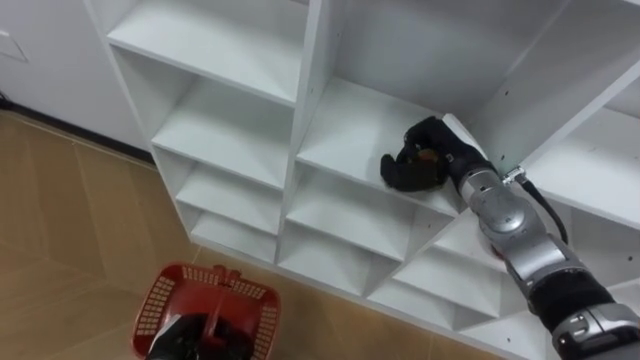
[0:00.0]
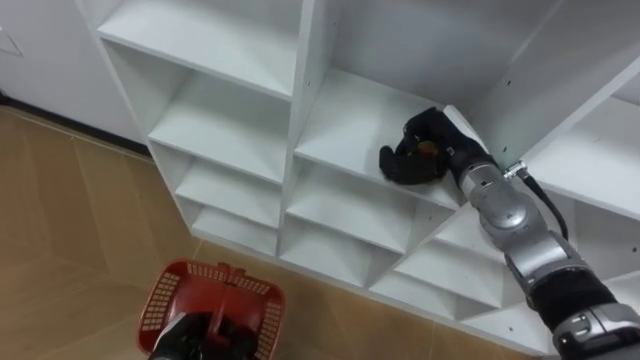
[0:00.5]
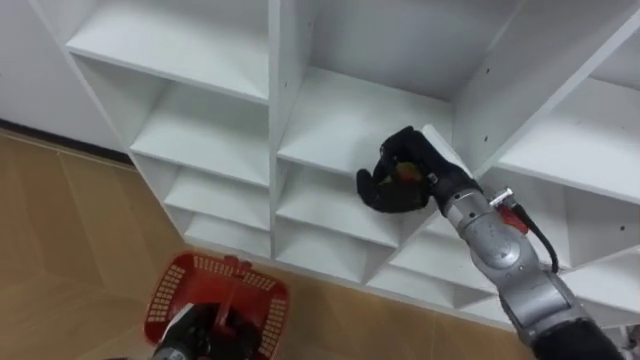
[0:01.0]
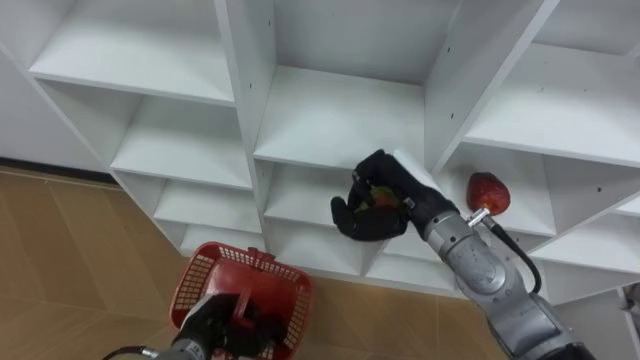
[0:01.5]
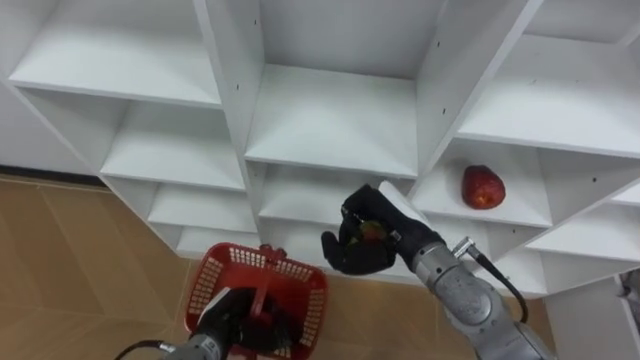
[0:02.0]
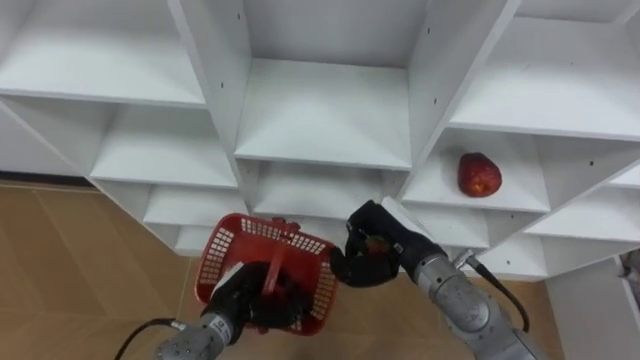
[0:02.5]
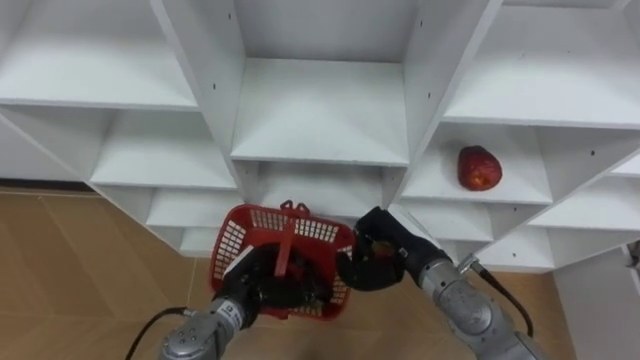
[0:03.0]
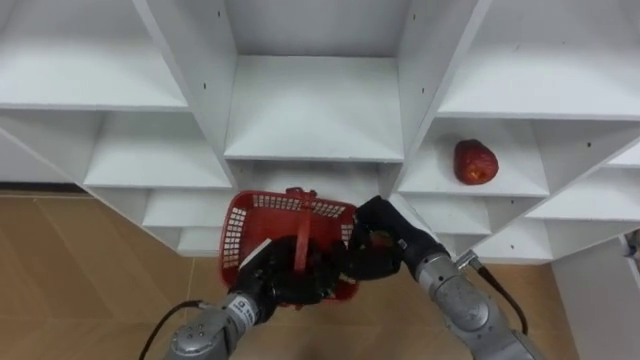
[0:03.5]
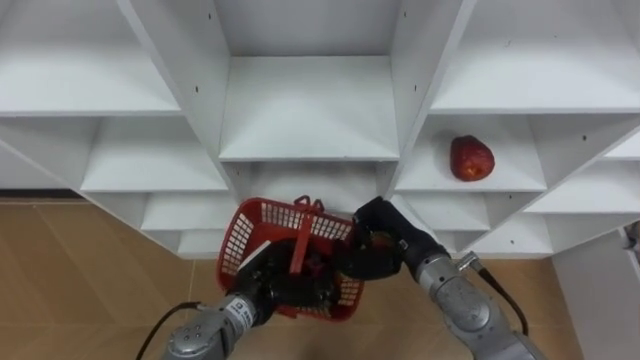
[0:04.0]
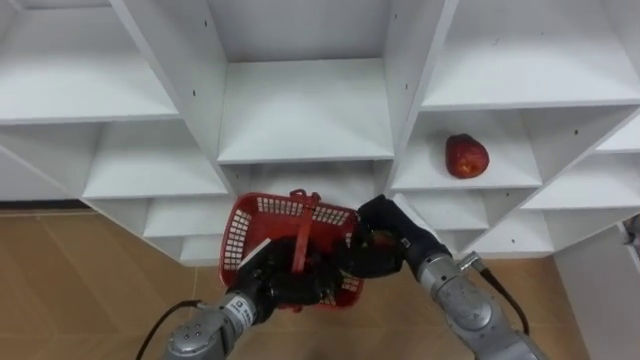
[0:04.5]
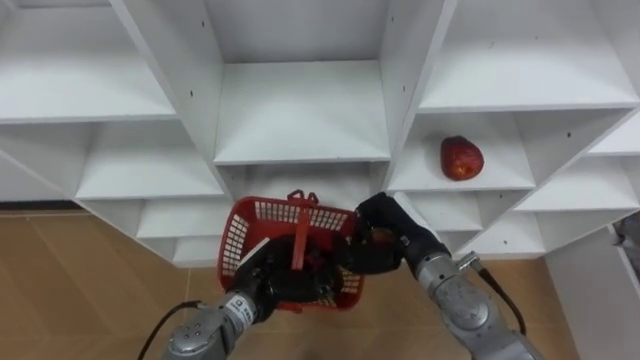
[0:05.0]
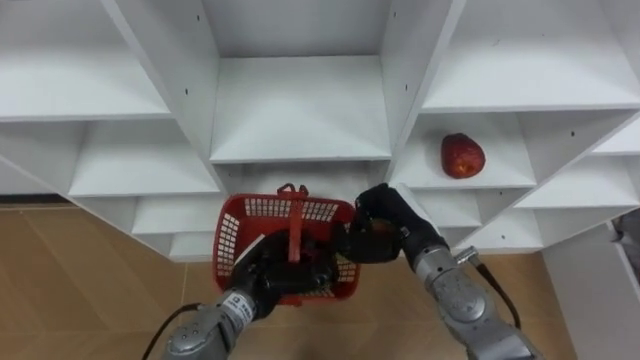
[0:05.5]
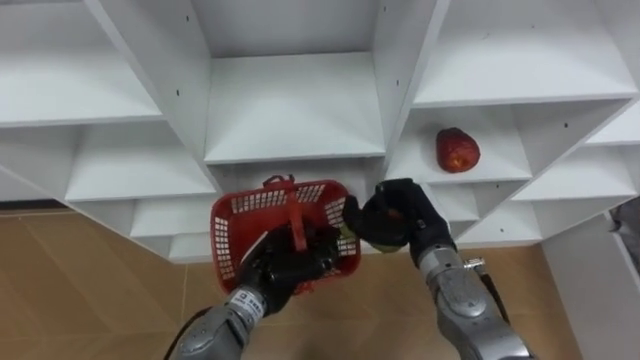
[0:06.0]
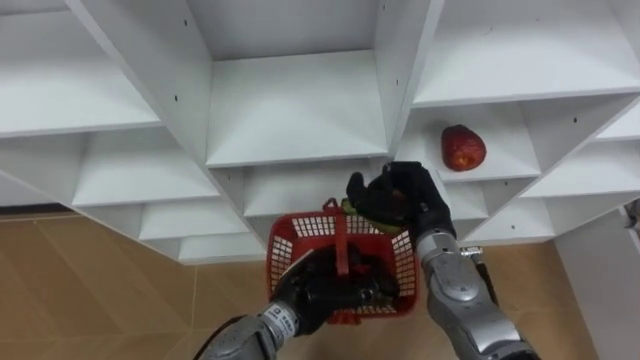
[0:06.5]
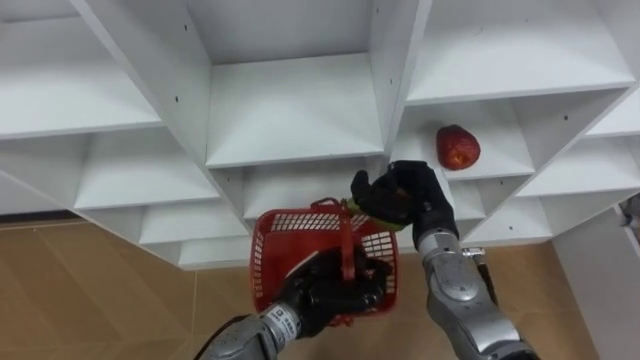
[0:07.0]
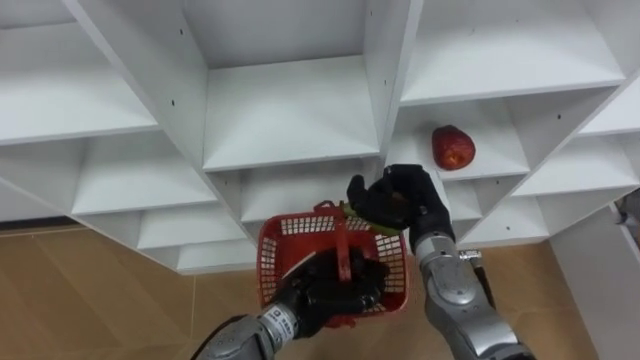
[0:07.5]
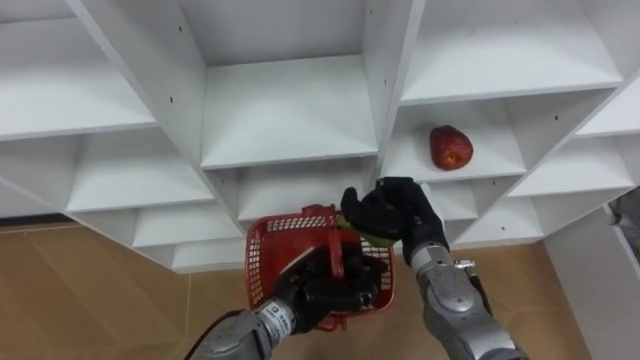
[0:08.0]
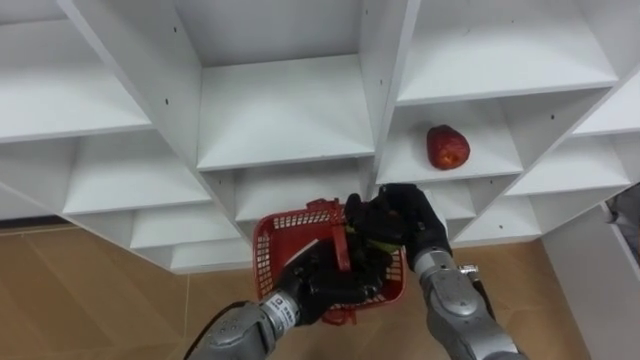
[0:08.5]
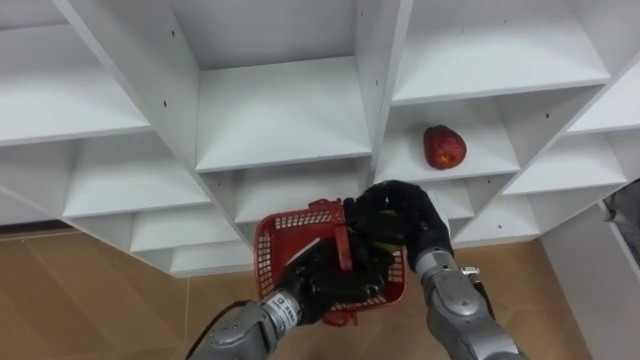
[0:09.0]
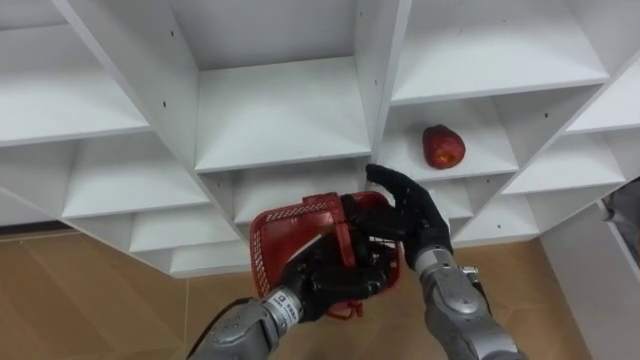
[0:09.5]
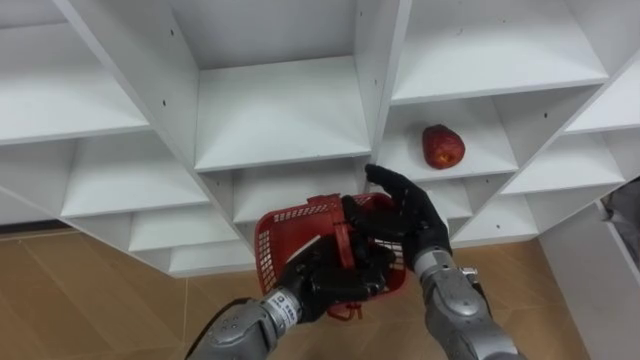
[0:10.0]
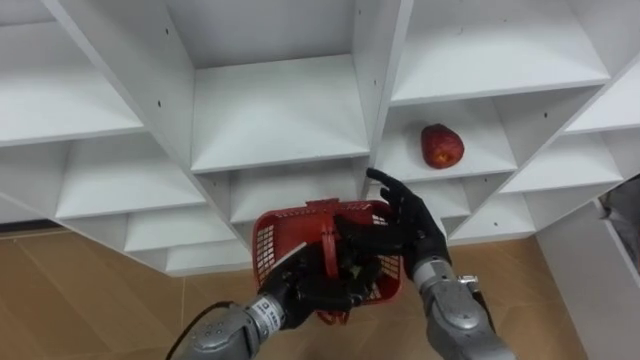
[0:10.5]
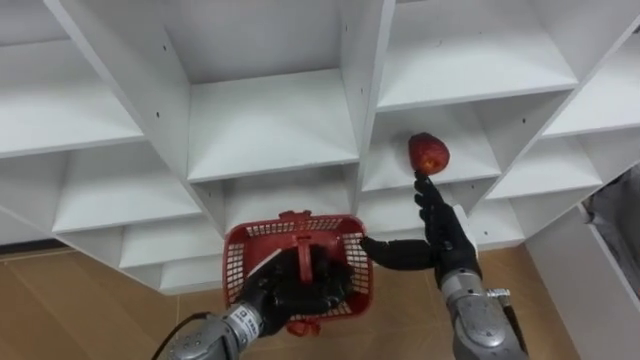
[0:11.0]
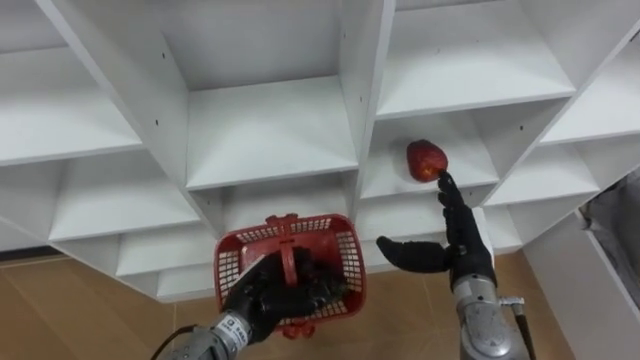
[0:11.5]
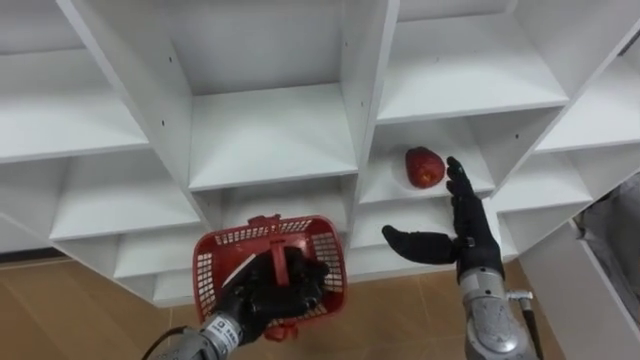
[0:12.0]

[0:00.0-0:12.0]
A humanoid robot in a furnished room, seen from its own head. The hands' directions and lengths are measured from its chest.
Task of the whole recording: Hold the basket and collect the fruits from 3 different cells of the closet into it.
0:00.0 to 0:02.0: The right hand shifts approximately 10 cm backward and to the left. The left hand goes approximately 5 cm to the right.
0:02.0 to 0:04.0: The left hand heads to the right and upward, covering some 10 cm.
0:06.0 to 0:08.0: The left hand moves roughly 5 cm.
0:08.0 to 0:10.0: The right hand opens.
0:10.0 to 0:12.0: The right hand is displaced to the right by about 5 cm; the left hand is displaced to the left by some 10 cm.

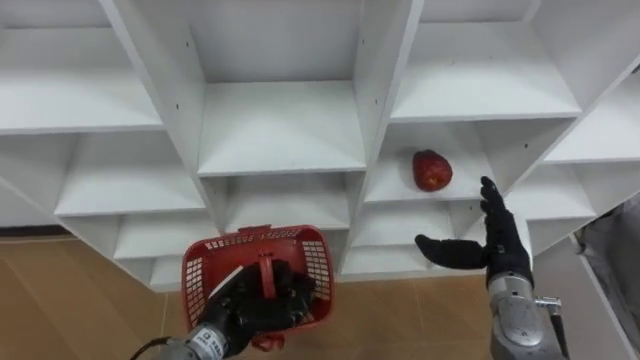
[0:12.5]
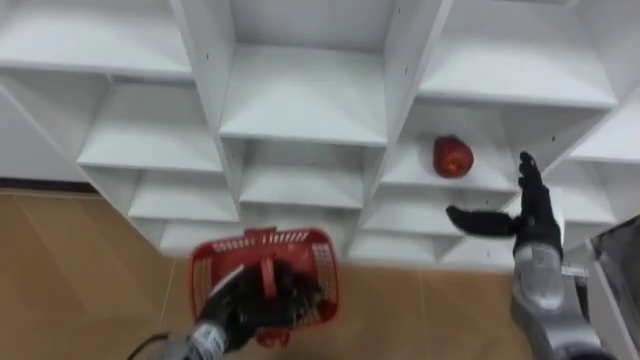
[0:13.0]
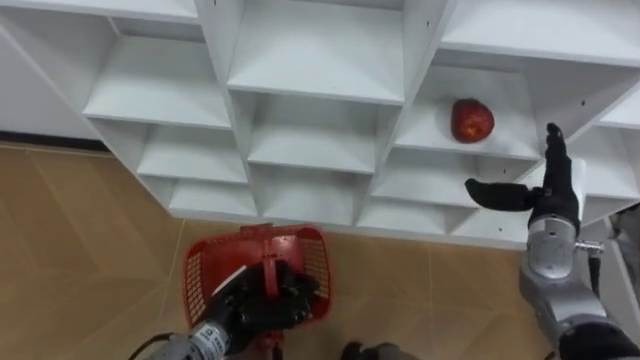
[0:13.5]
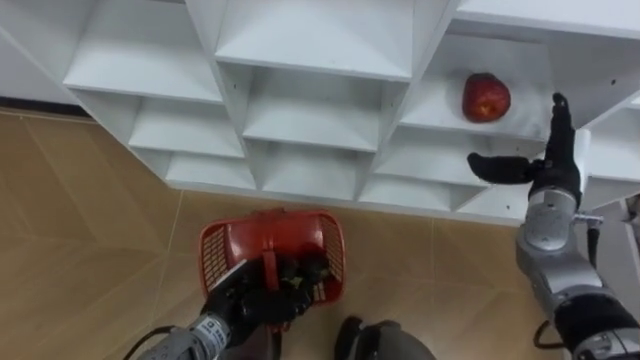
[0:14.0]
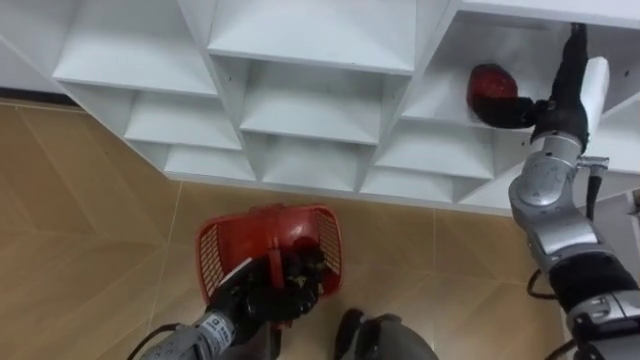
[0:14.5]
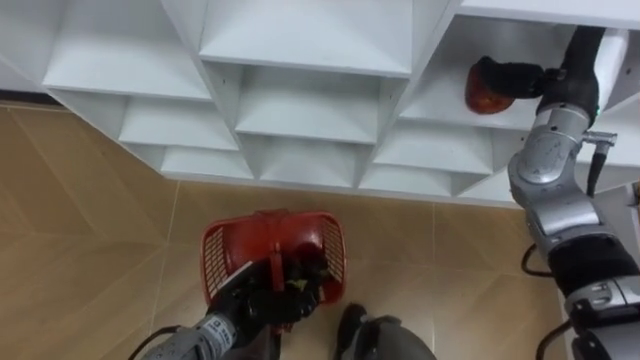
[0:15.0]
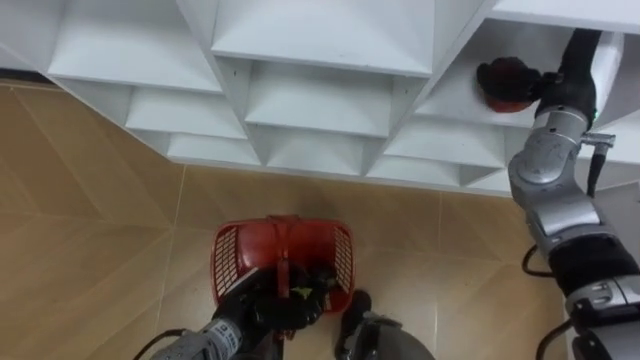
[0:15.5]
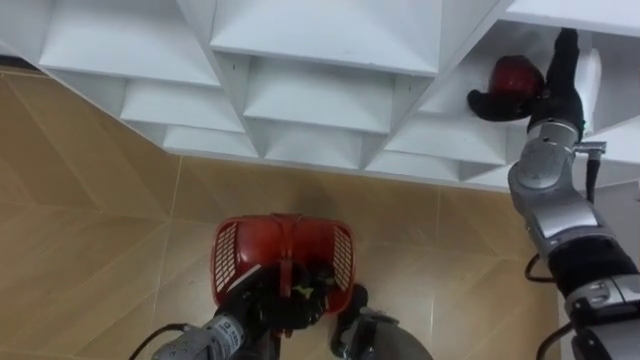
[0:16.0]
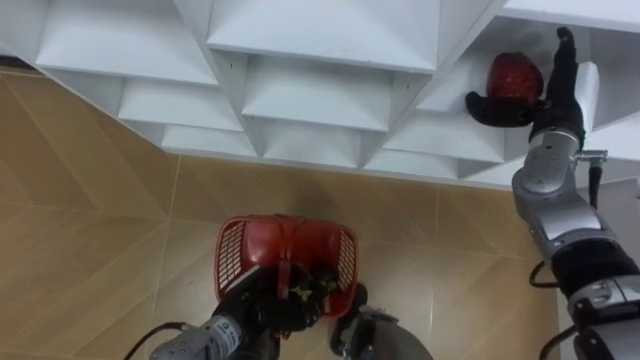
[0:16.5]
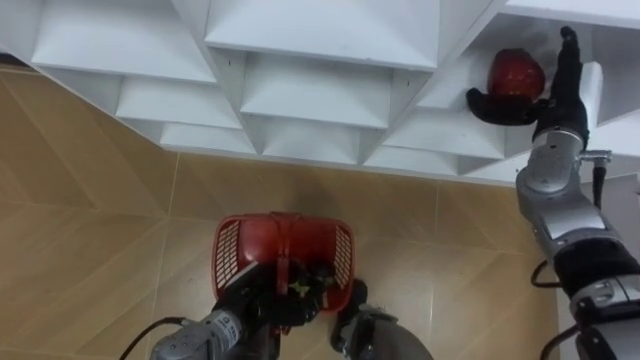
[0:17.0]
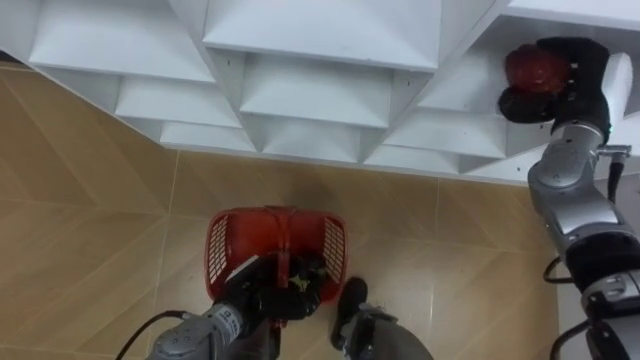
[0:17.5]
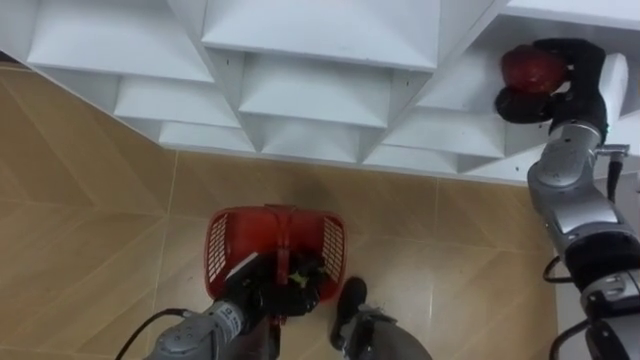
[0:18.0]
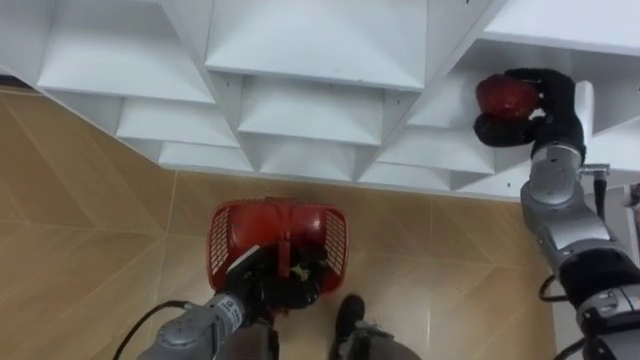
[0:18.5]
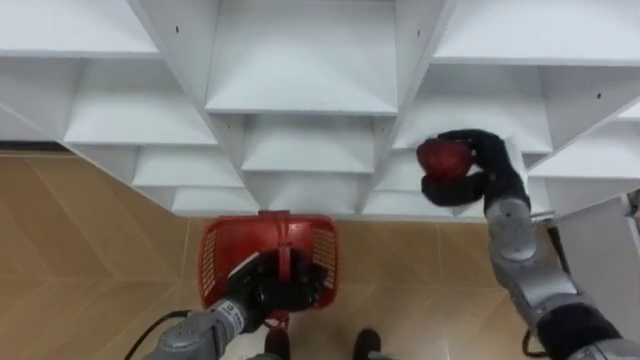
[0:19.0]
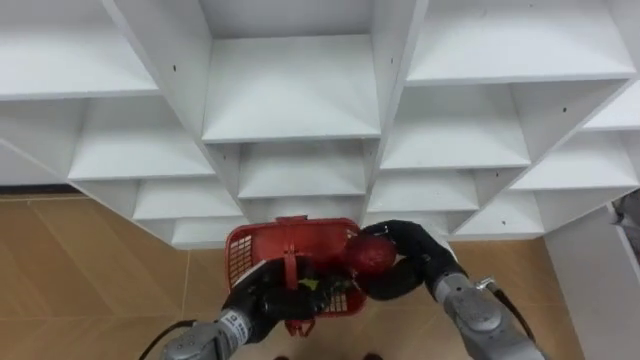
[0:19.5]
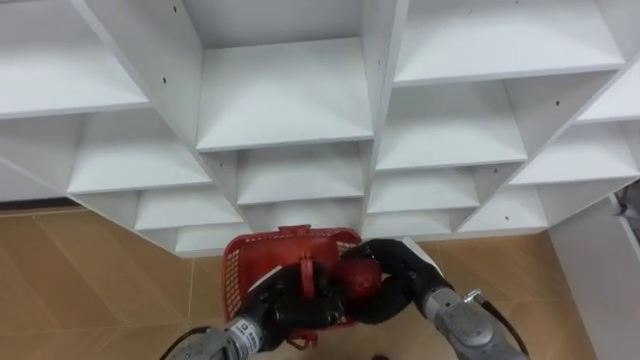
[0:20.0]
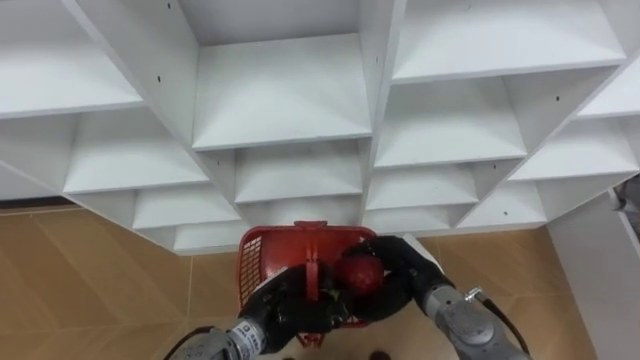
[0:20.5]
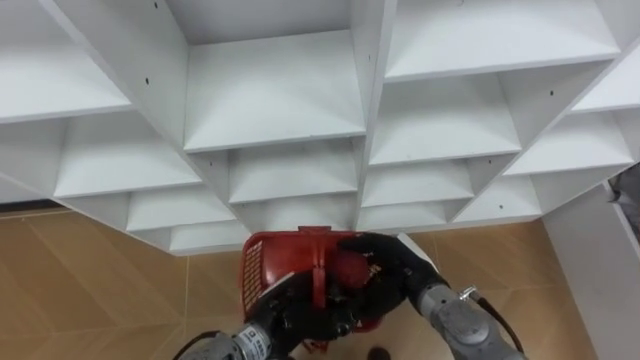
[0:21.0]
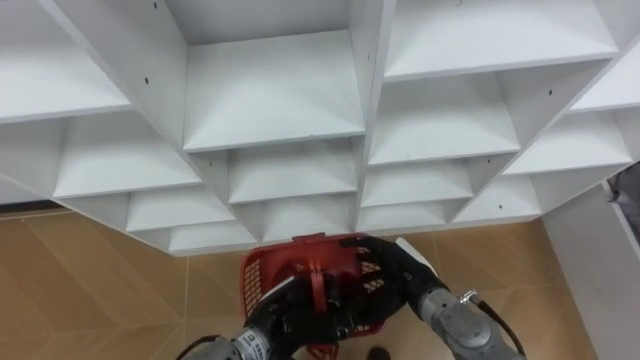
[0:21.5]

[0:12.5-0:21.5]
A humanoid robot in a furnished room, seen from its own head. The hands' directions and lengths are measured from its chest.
Task of the whole recording: Hold the basket and collect the fruits from 3 different cells of the closet into it.
0:12.5 to 0:14.5: The right hand heads upward and forward, covering some 20 cm.
0:17.0 to 0:19.5: The right hand heads downward, to the left and backward, covering roughly 25 cm, and closes its fingers.
0:19.5 to 0:21.5: The right hand opens its fingers.
